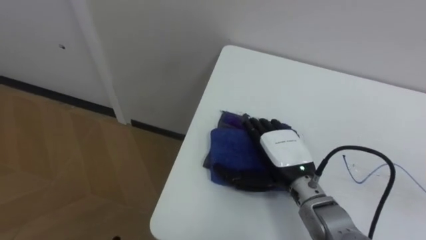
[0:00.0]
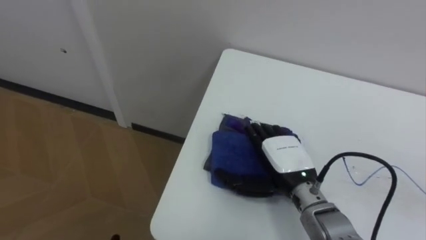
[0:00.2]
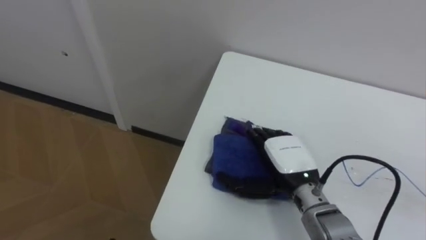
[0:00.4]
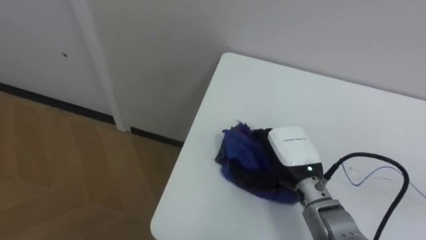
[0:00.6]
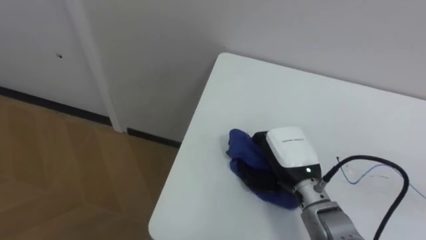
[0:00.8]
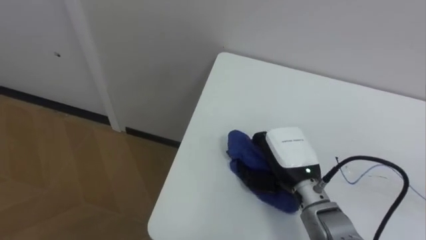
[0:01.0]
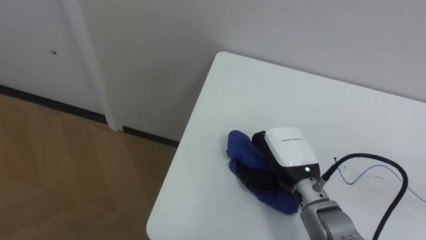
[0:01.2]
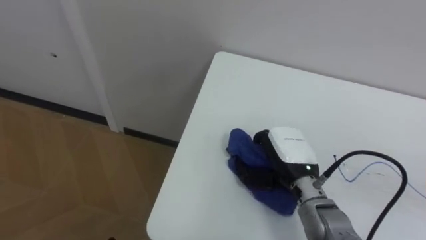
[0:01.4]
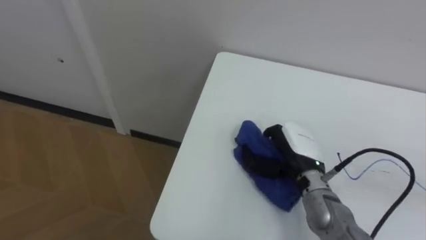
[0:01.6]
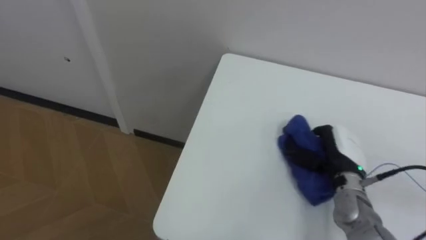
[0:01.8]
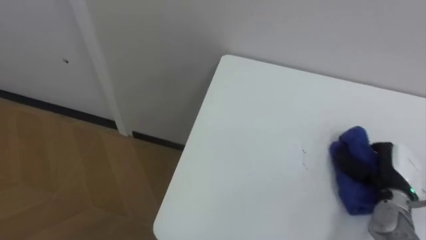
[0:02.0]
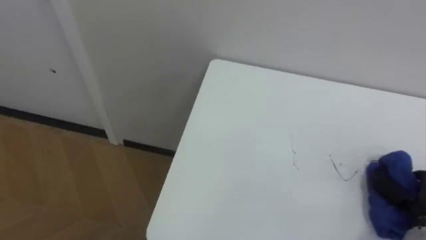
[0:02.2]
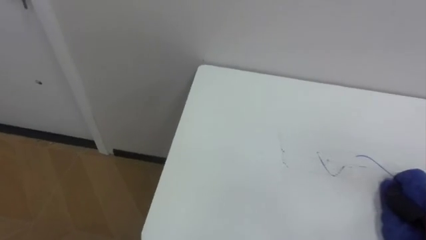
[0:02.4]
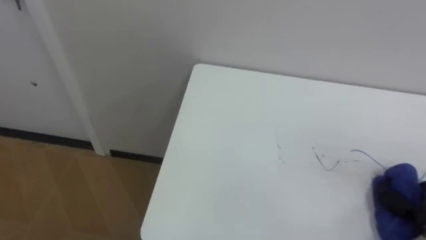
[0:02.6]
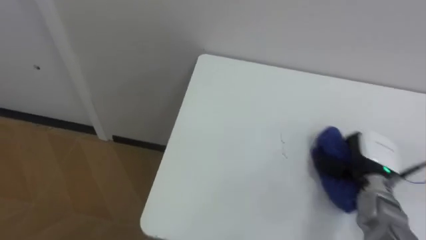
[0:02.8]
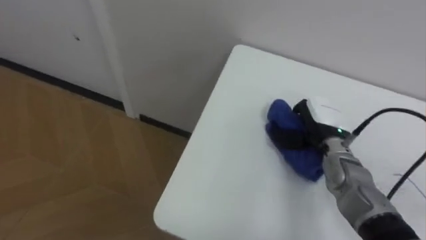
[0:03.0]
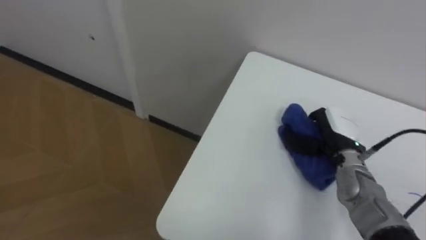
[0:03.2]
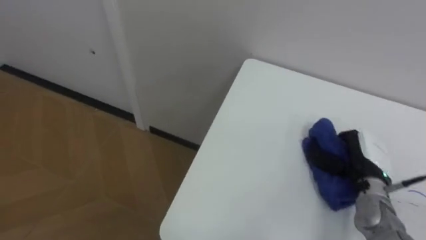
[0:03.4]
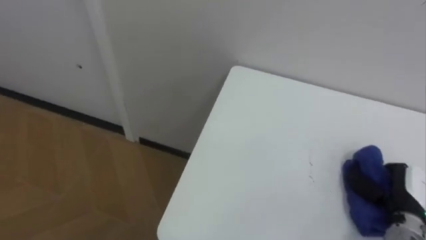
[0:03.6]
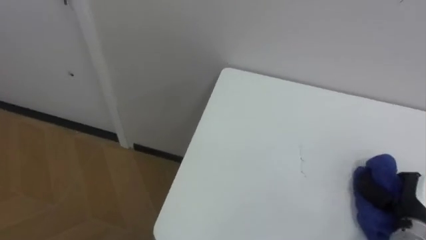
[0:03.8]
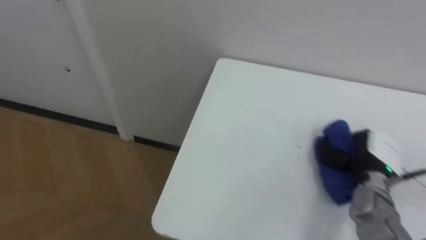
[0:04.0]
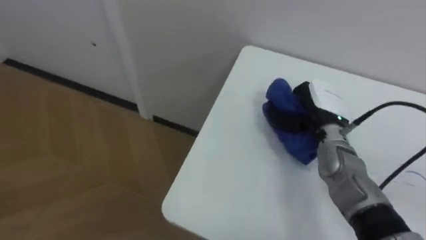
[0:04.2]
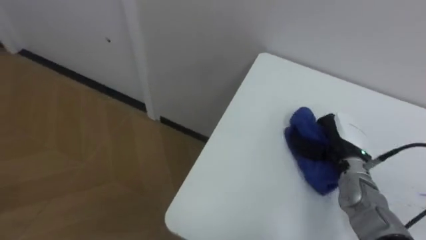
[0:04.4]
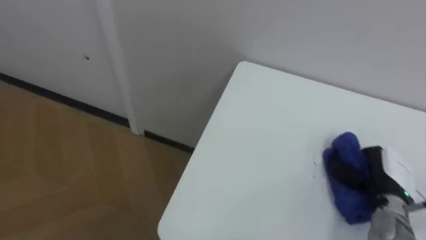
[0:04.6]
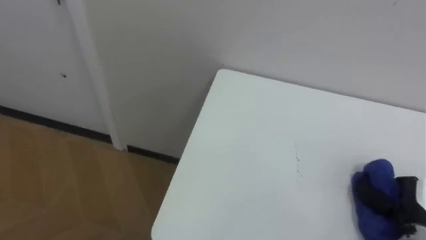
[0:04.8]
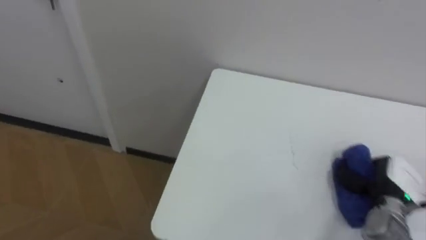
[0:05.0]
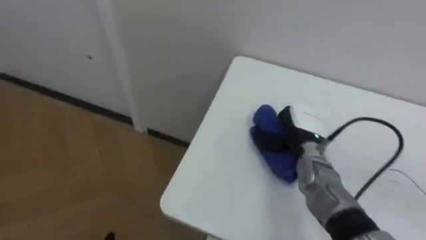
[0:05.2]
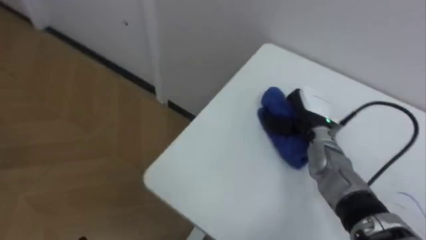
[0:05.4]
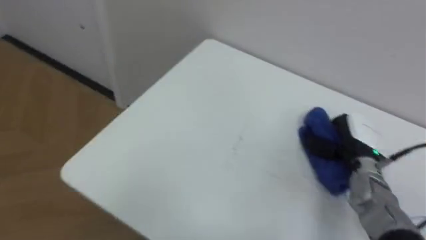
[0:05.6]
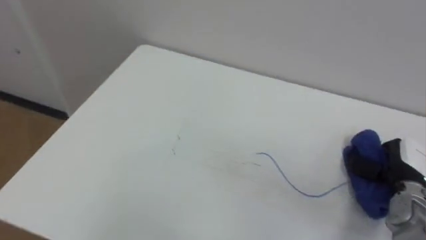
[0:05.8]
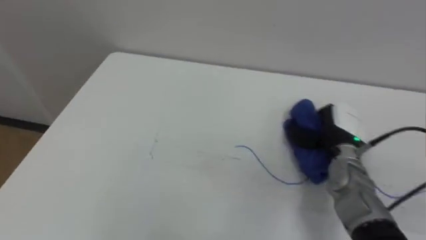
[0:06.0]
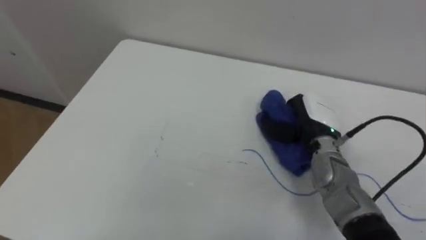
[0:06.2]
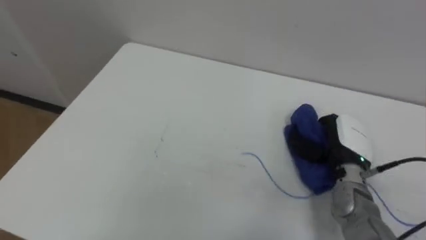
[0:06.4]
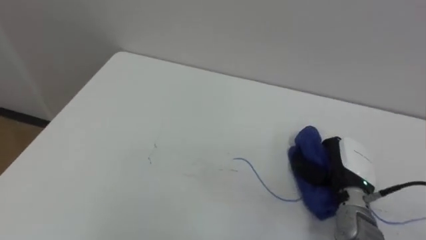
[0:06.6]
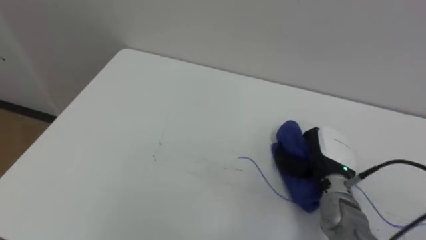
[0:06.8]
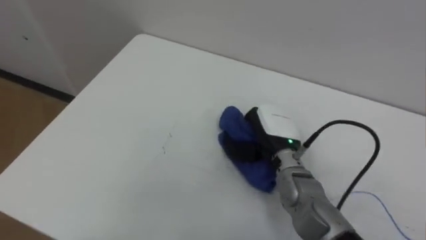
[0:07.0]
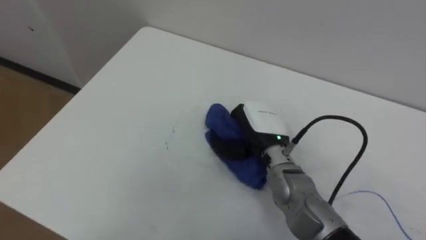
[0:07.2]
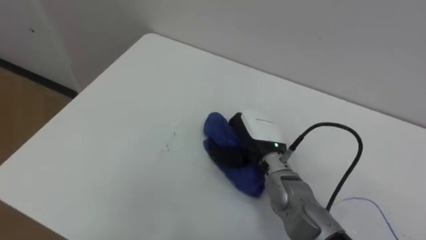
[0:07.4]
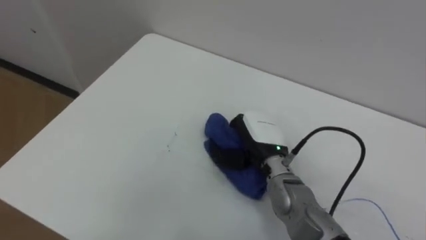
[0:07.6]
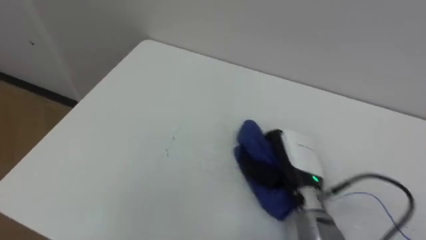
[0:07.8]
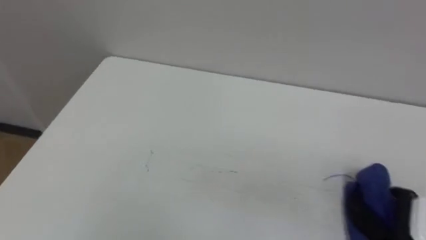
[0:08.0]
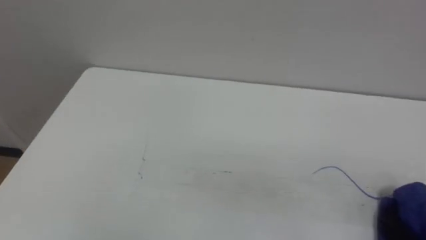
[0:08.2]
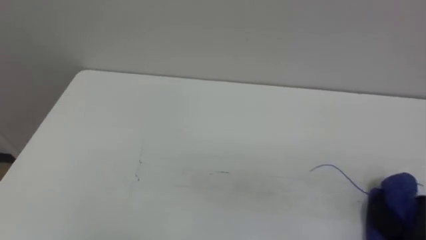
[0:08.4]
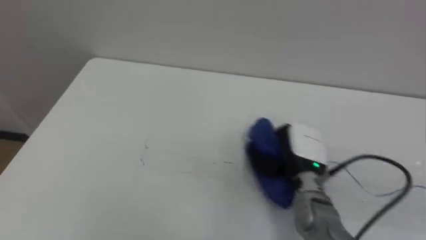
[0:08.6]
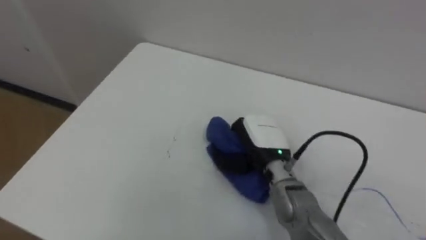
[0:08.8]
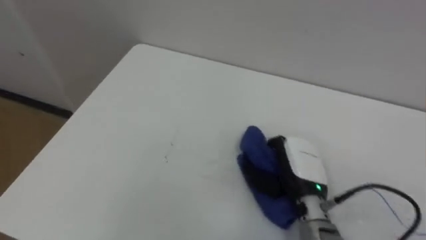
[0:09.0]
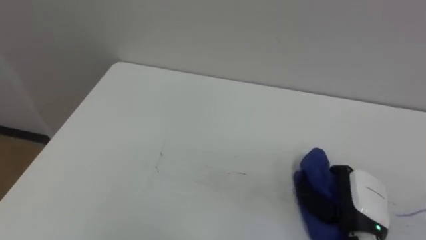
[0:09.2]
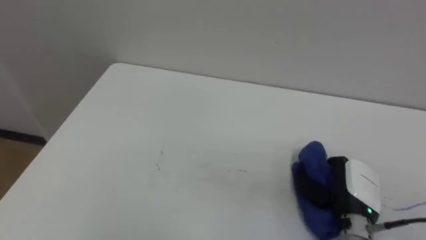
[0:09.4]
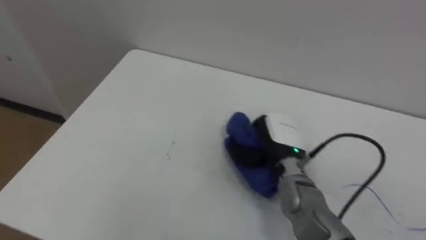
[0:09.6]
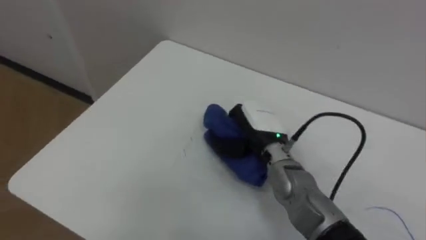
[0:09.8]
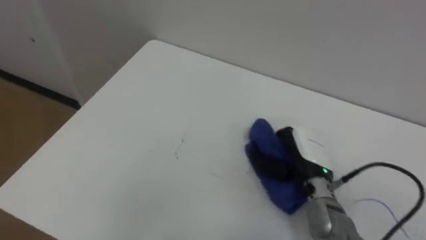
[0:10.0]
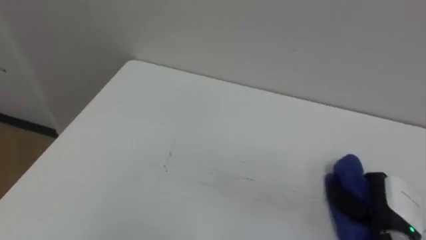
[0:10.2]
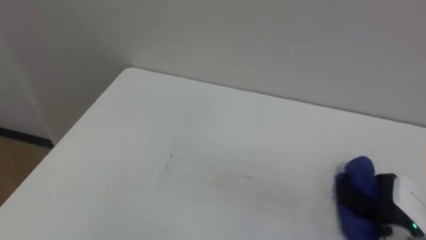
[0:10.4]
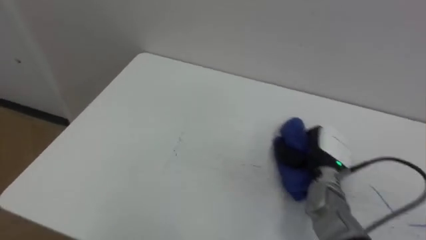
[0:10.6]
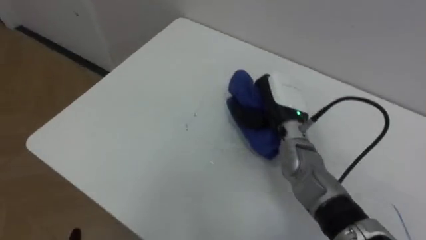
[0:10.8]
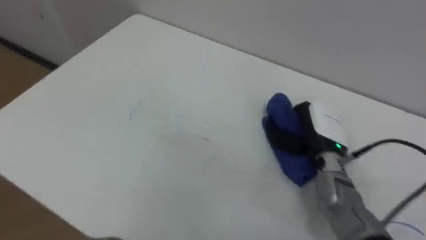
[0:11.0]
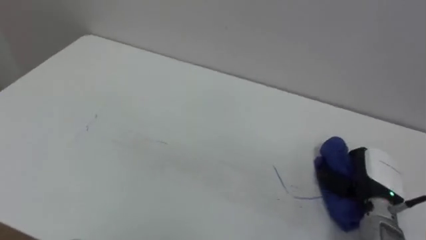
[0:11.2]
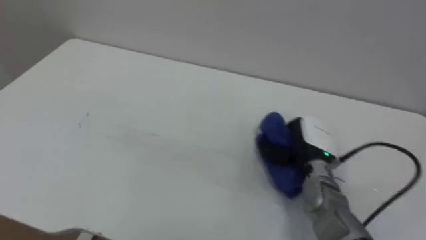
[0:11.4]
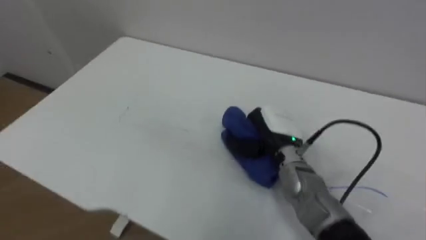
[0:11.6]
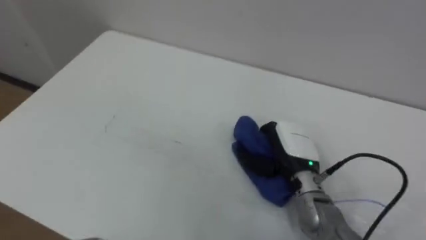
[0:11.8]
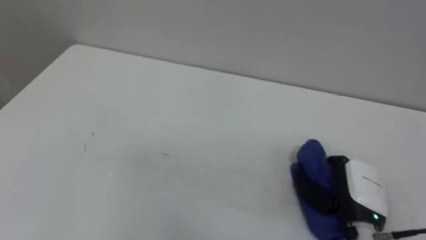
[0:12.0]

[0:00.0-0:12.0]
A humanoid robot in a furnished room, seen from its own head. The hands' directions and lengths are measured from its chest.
Task of the whole recording: Wipe the blue pen marks off the table with the rag.
0:00.0 to 0:01.6: The right hand closes.
0:03.0 to 0:04.4: The right hand moves left and right over approximately 15 cm, changing direction 2 times.
0:04.4 to 0:06.0: The right hand moves left and right over roughly 20 cm, changing direction 3 times.
0:06.0 to 0:07.6: The right hand moves left and right over roughly 20 cm, changing direction 2 times.
0:09.0 to 0:10.4: The right hand moves left and right over some 25 cm, changing direction 2 times.
0:10.4 to 0:12.0: The right hand goes left and right, some 20 cm each way, reversing 3 times.

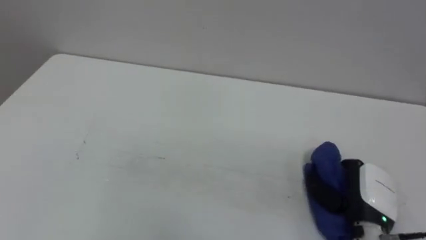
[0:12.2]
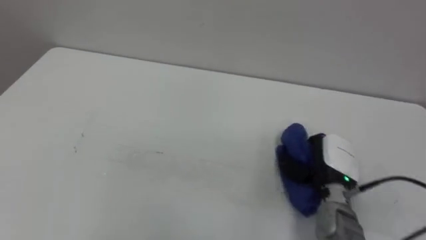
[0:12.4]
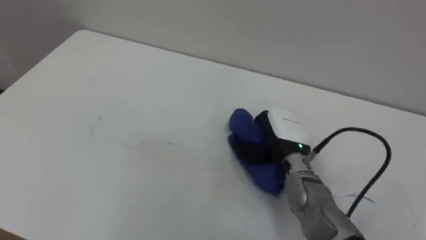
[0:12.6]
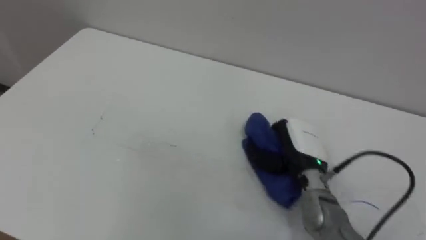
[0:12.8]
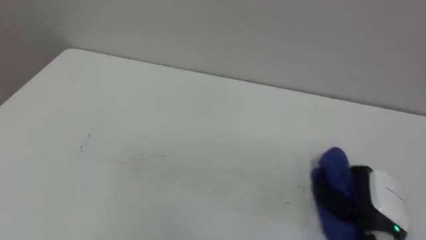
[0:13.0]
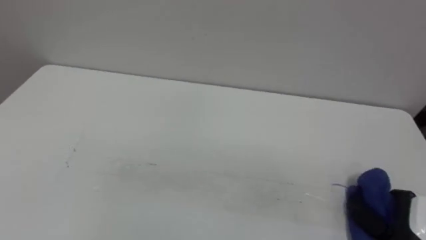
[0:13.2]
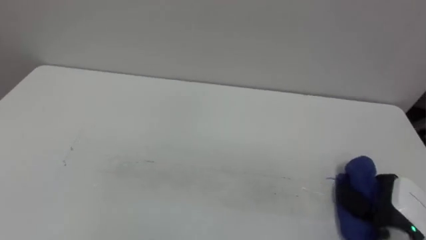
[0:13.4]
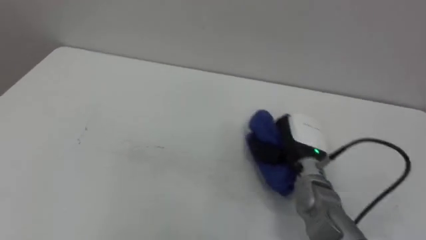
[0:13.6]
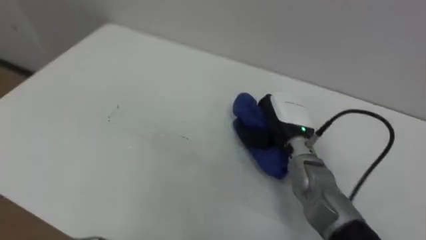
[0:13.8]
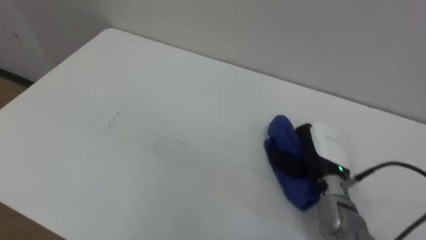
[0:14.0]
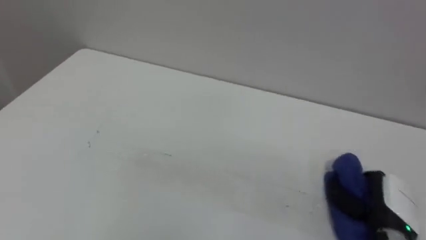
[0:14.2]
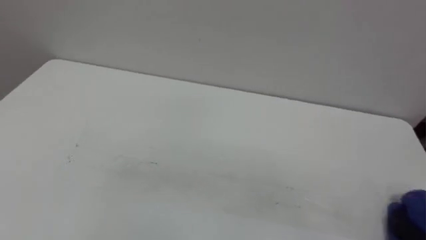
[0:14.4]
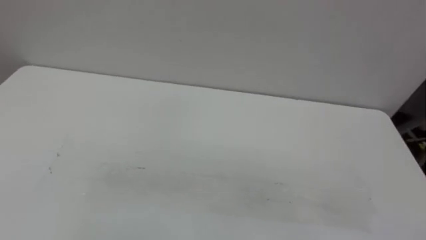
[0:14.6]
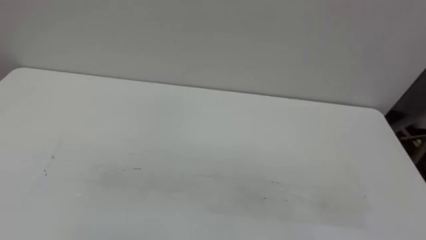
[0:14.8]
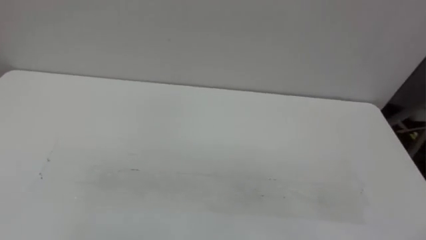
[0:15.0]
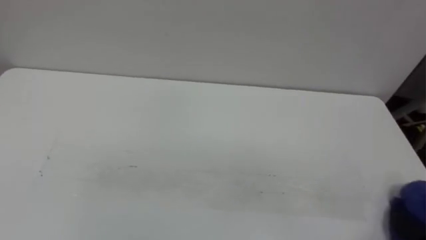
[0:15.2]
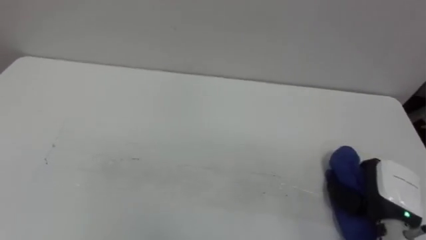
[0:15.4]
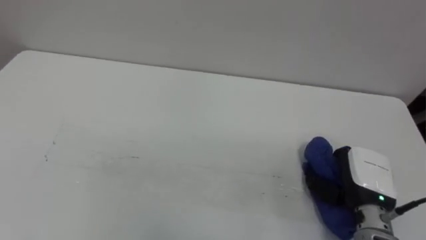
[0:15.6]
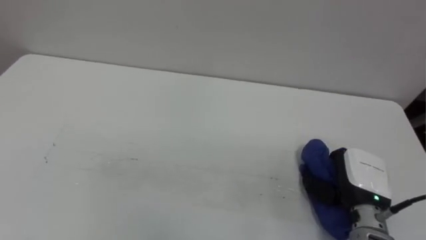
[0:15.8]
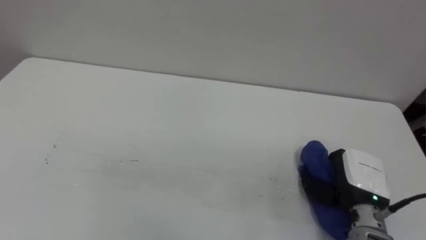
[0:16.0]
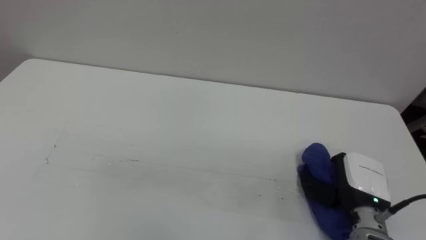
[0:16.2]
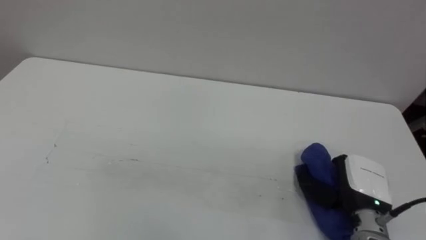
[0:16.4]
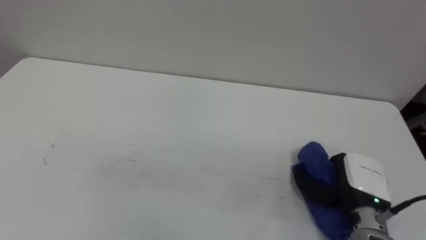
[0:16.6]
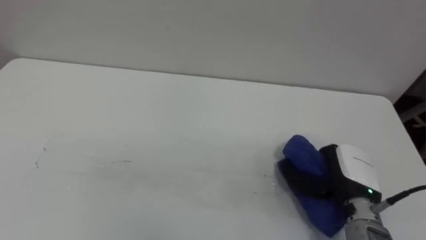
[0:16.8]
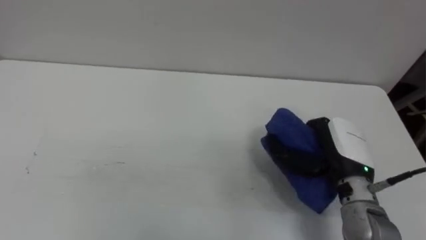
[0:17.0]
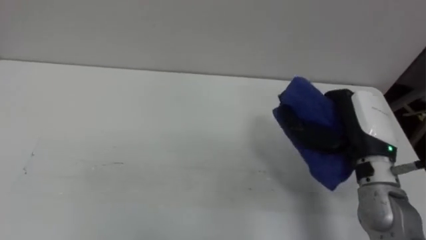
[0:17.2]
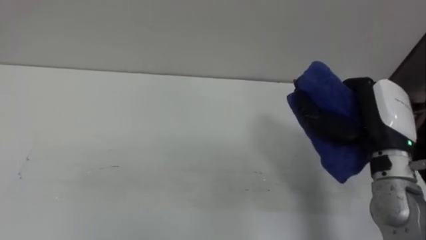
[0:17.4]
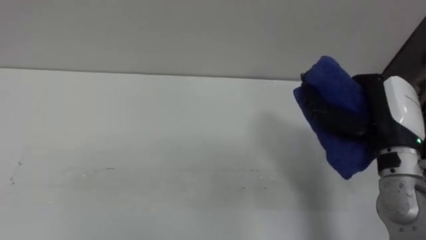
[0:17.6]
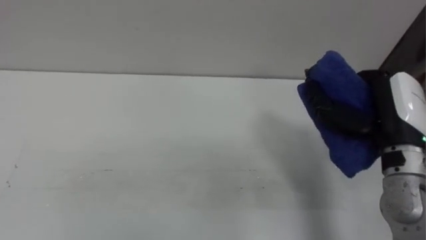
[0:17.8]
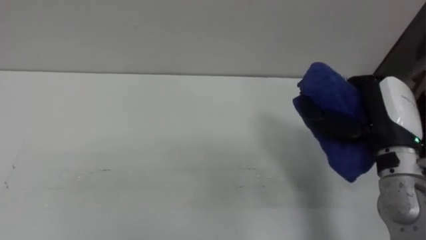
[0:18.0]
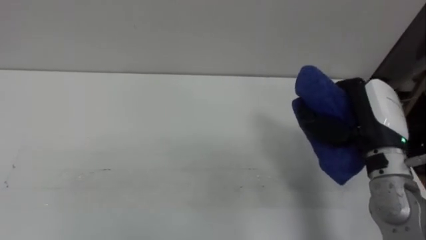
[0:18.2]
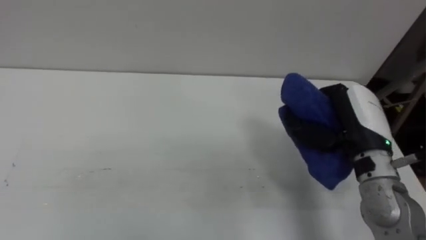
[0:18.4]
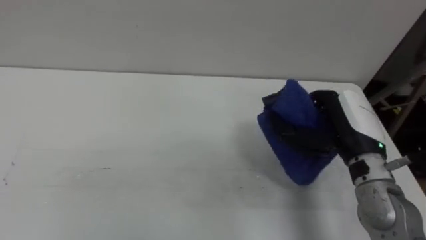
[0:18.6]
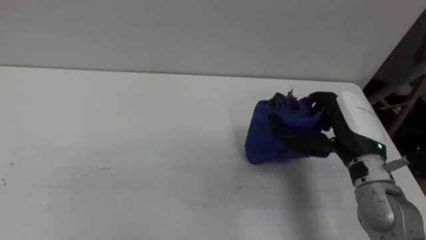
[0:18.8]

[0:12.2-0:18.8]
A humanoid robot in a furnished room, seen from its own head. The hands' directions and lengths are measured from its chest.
Task of the whole recording: Wipe the blue pen marks off the table with the rag.
0:12.2 to 0:13.8: The right hand swings left and right, about 20 cm each way, with 2 reversals.
0:15.4 to 0:17.2: The right hand goes some 15 cm upward, to the left and forward.
